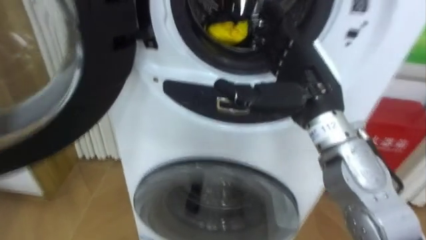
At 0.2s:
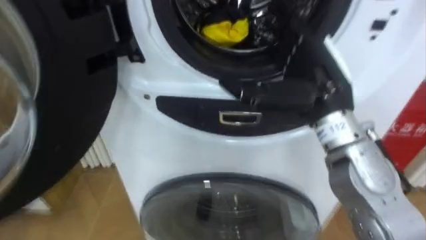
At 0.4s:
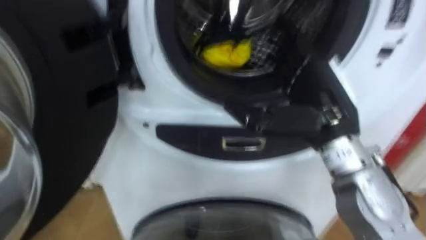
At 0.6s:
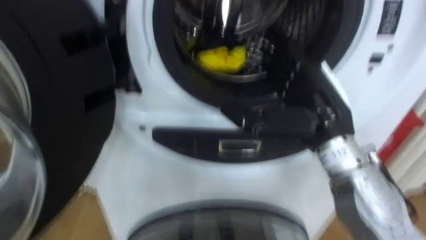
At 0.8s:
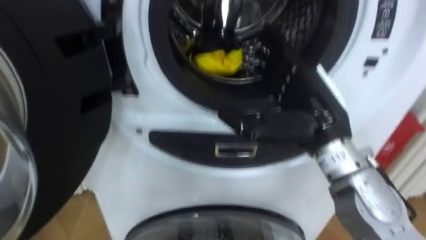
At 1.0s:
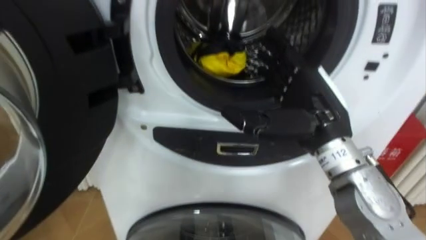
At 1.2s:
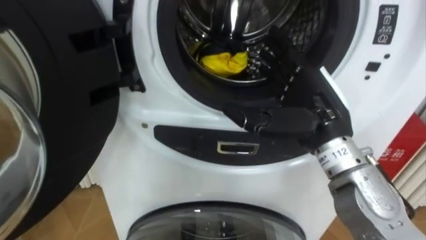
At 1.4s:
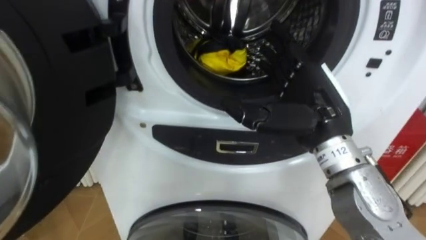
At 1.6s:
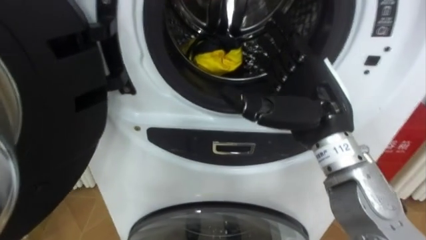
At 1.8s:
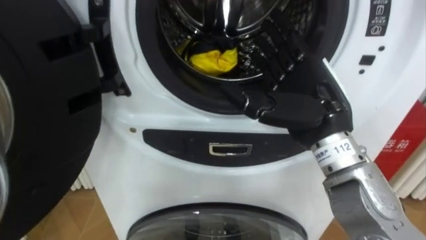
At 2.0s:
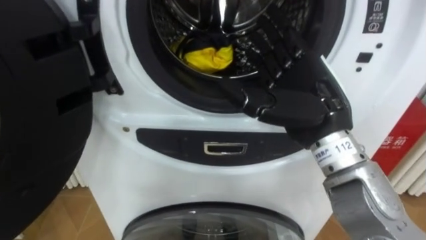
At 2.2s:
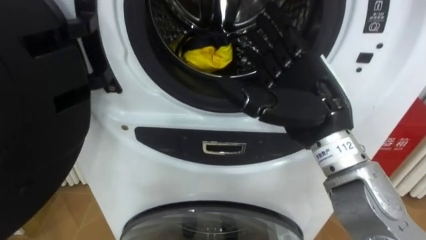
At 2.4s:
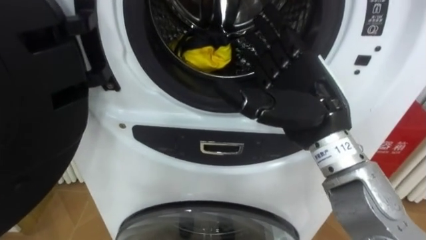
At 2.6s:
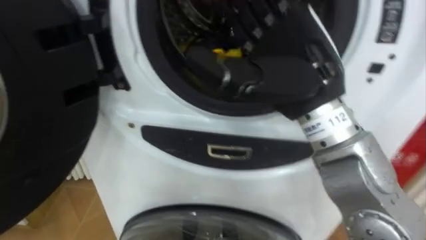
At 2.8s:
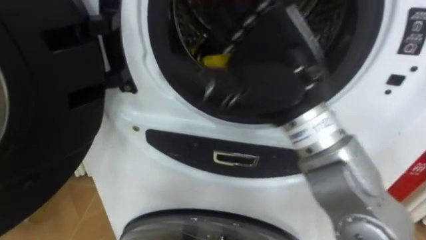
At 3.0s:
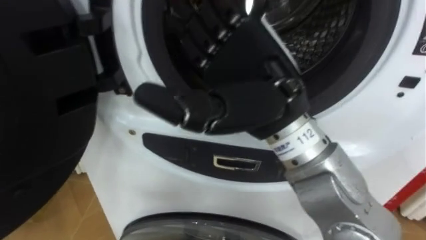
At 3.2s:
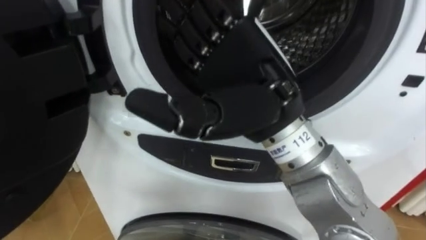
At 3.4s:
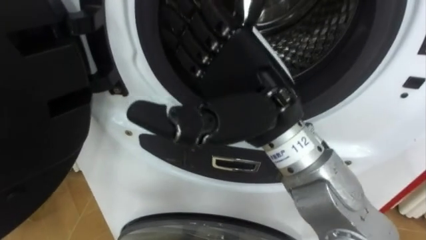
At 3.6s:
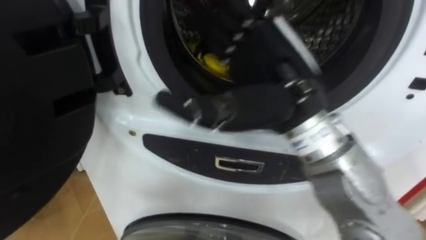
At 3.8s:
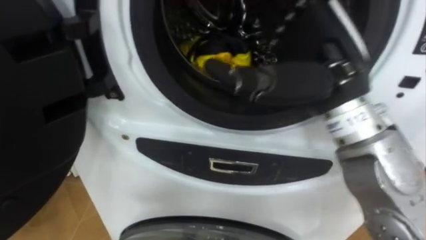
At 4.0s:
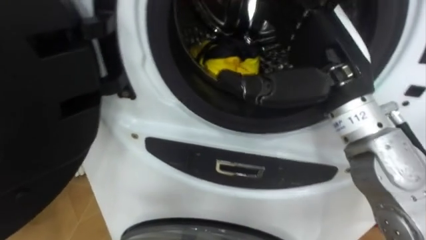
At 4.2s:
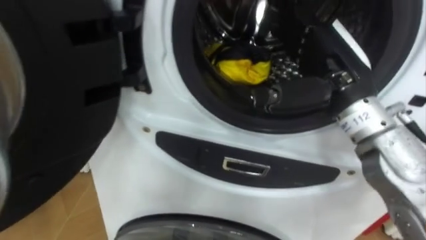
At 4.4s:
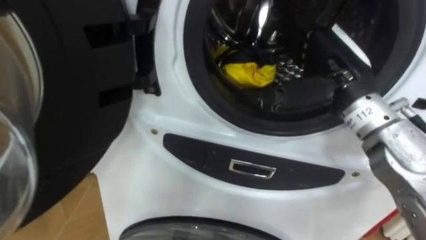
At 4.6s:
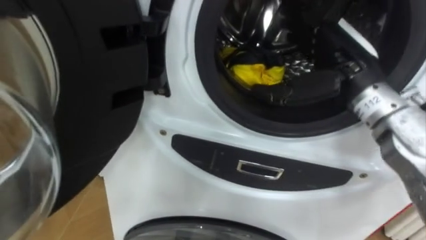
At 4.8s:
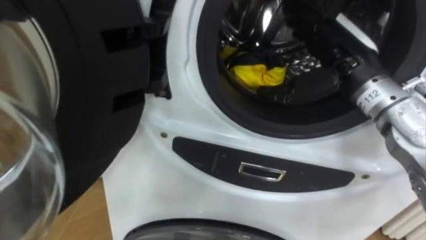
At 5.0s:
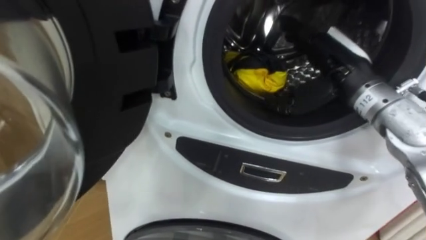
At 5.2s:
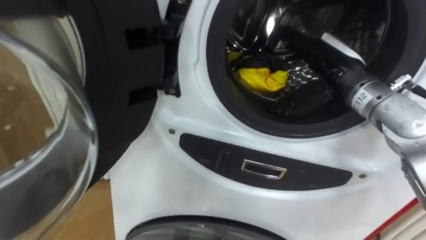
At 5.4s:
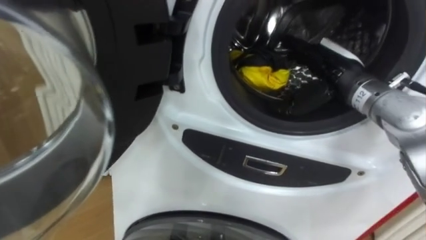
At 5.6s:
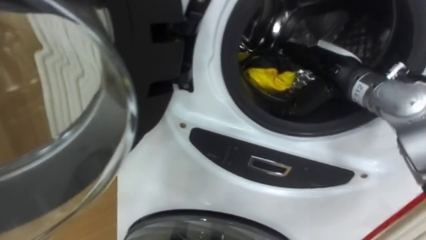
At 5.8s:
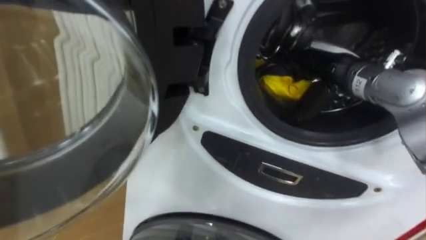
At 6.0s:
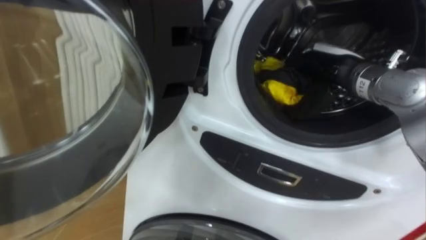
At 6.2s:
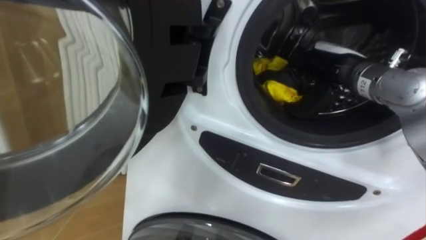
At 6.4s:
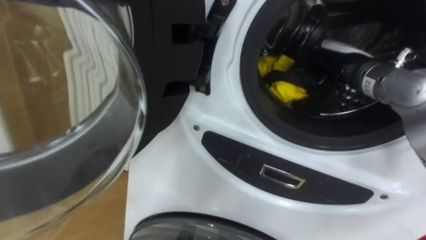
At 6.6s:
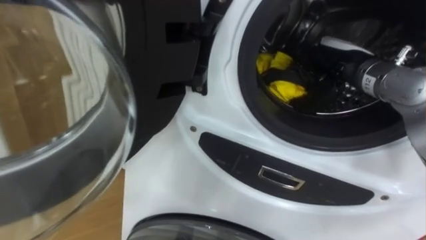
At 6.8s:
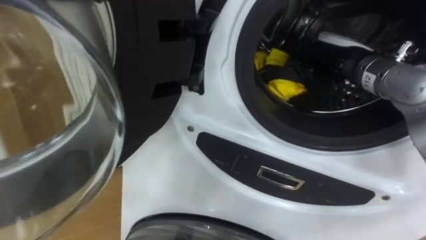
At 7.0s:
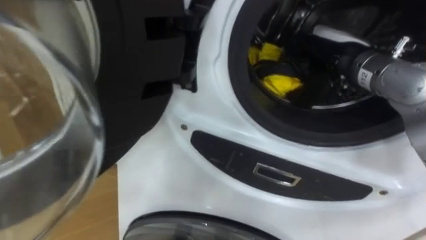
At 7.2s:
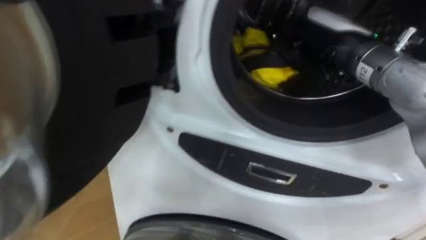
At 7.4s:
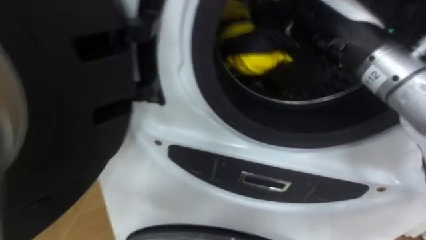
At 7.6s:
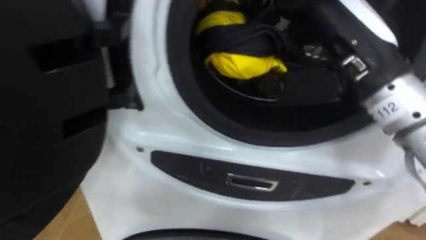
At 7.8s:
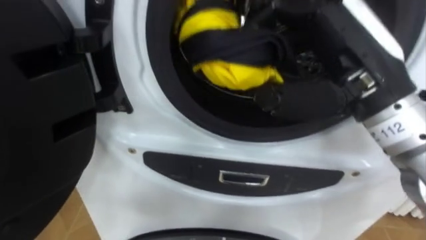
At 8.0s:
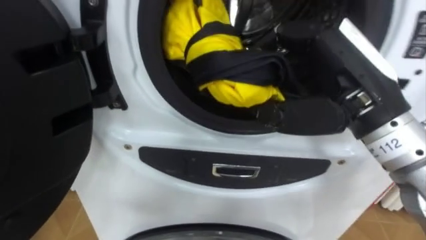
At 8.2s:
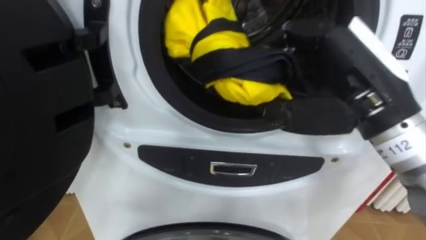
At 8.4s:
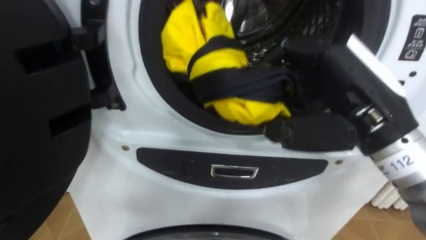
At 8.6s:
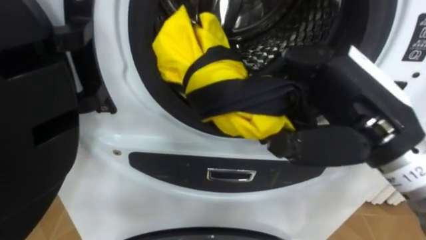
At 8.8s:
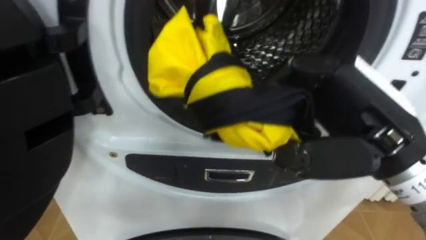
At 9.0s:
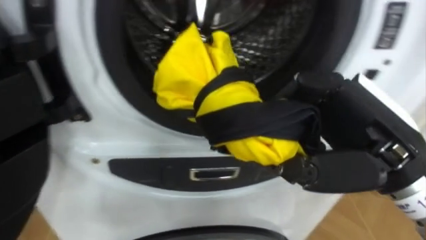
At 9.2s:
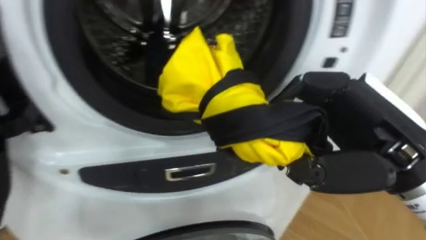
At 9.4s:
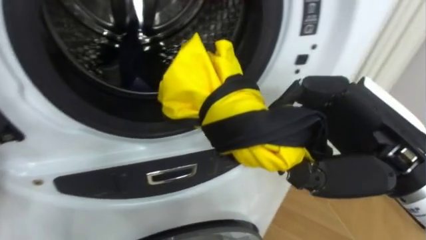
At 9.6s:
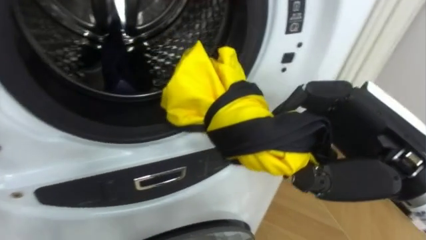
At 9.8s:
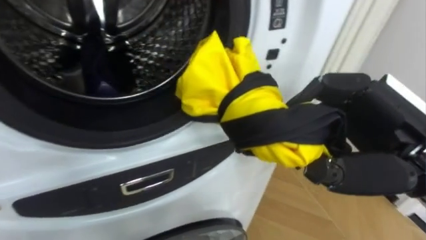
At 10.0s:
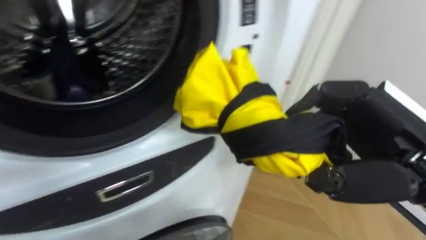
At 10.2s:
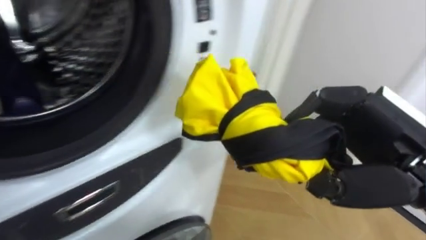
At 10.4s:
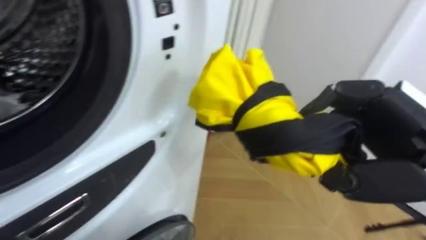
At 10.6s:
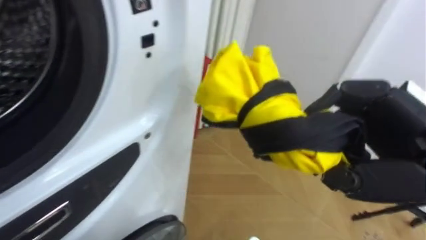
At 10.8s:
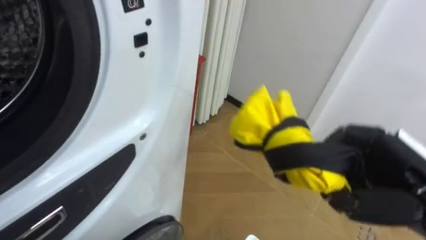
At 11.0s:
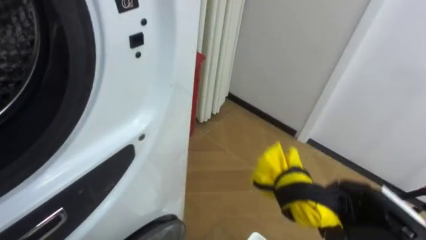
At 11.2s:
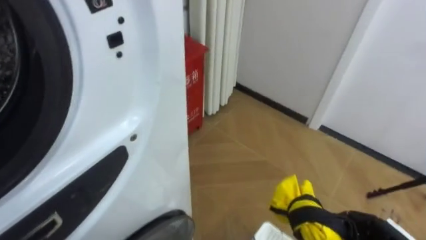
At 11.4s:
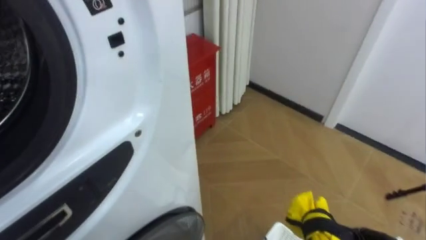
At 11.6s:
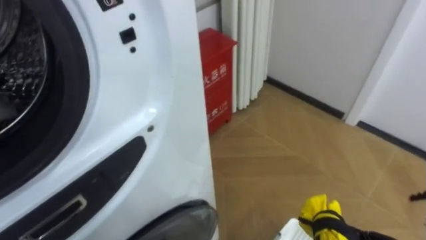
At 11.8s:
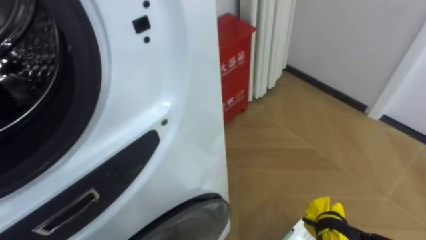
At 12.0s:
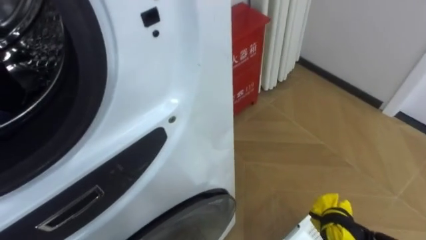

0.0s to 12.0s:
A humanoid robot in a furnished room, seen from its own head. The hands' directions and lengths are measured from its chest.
Task of the whole recording: Open the washing machine door, take out the yellow clothes, place them in the box on the right, and close the washing machine door.
1.6s to 3.0s: The right hand shifts about 10 cm to the left and upward.
3.0s to 4.4s: The right hand goes roughly 15 cm to the right and forward.
4.4s to 6.0s: The right hand shifts some 5 cm forward, and closes its fingers.
6.0s to 7.6s: The right hand travels backward and upward by about 15 cm, and closes.
7.6s to 9.0s: The right hand goes some 10 cm downward and backward.

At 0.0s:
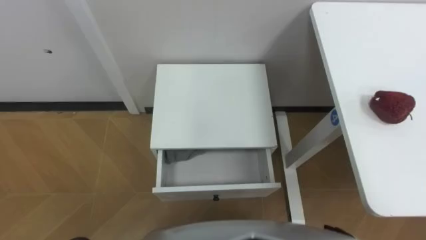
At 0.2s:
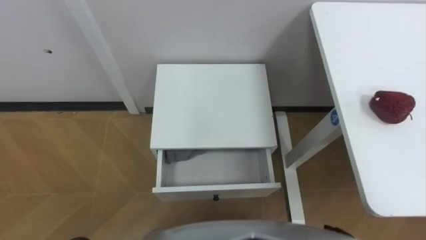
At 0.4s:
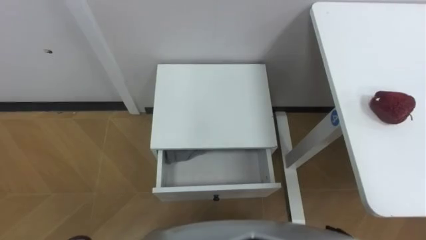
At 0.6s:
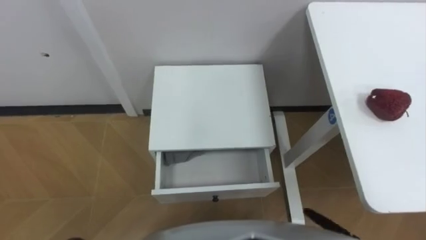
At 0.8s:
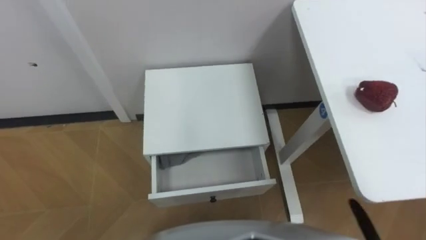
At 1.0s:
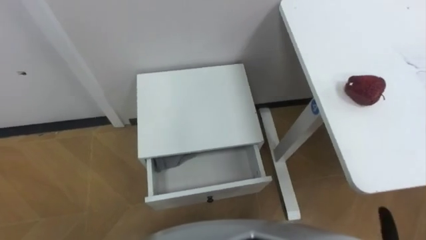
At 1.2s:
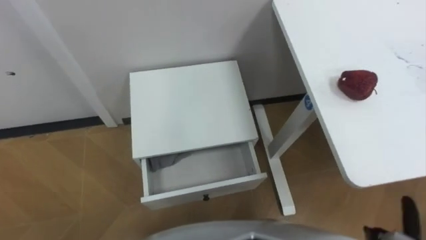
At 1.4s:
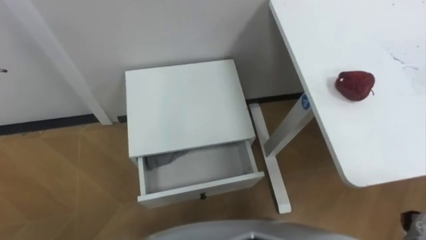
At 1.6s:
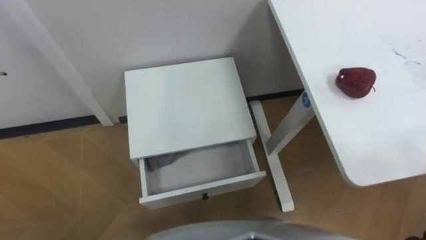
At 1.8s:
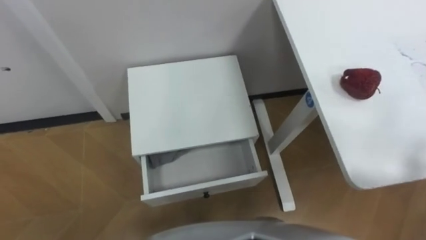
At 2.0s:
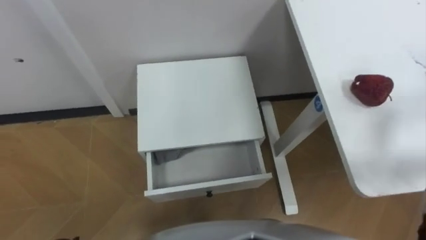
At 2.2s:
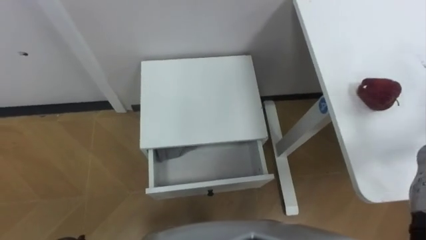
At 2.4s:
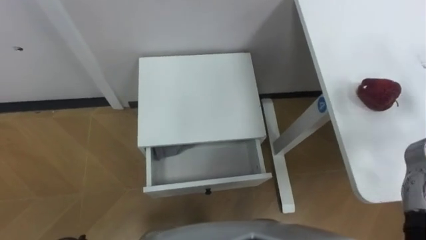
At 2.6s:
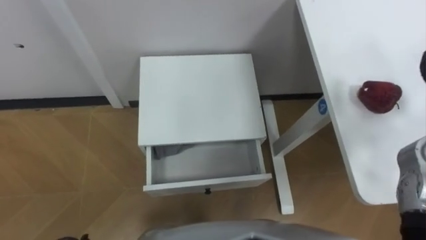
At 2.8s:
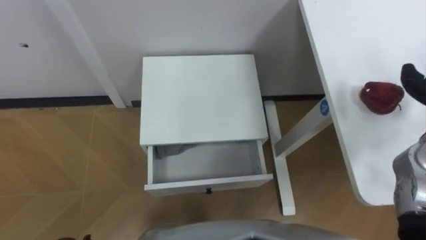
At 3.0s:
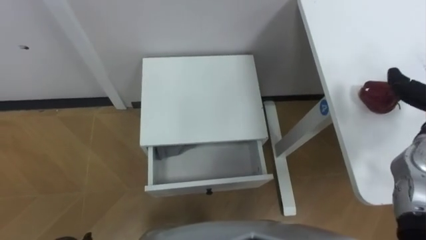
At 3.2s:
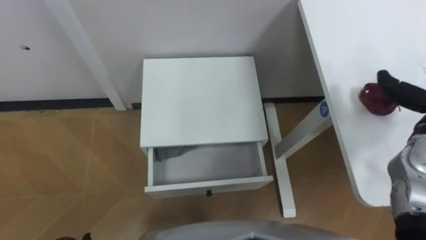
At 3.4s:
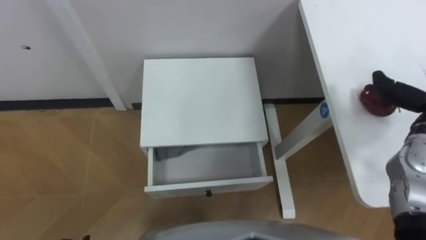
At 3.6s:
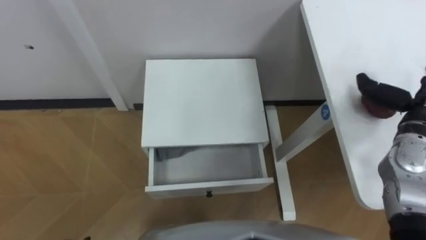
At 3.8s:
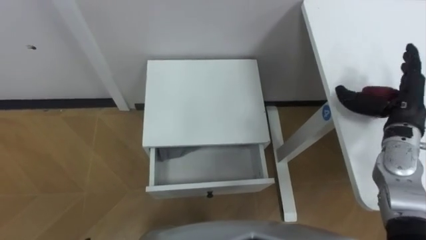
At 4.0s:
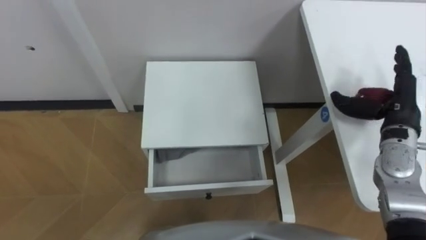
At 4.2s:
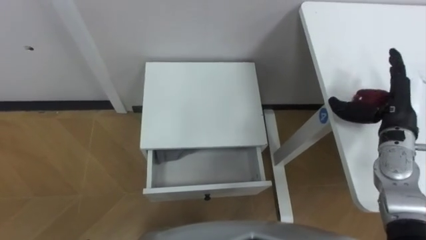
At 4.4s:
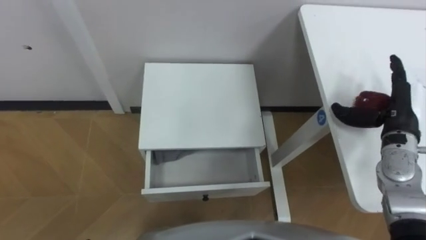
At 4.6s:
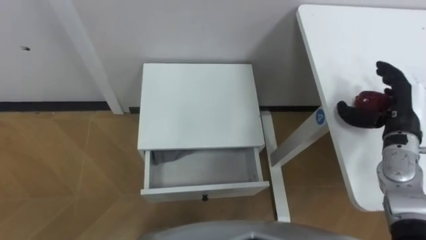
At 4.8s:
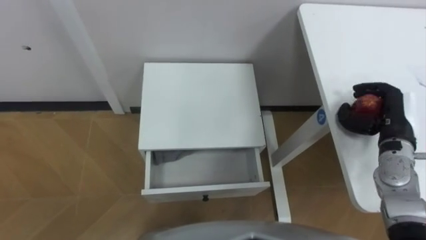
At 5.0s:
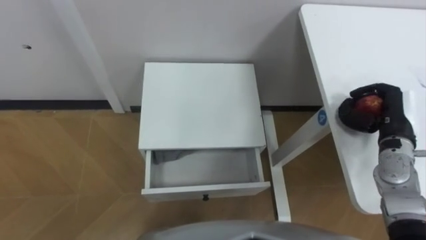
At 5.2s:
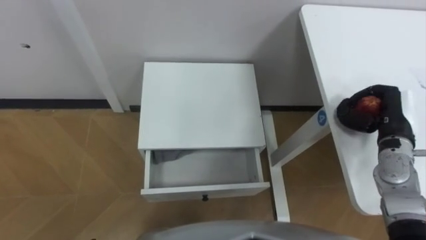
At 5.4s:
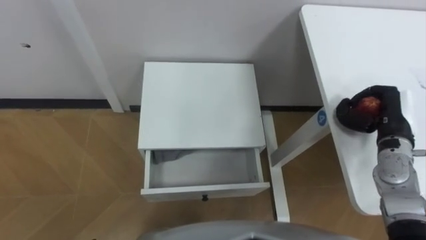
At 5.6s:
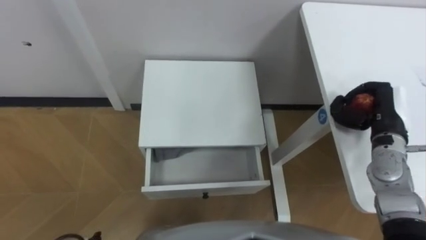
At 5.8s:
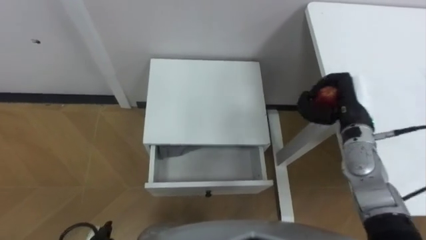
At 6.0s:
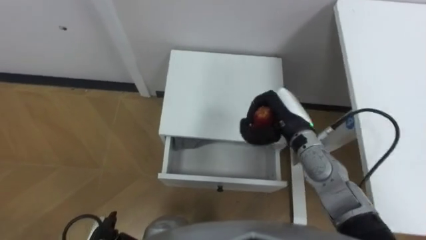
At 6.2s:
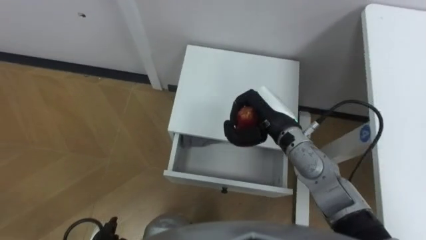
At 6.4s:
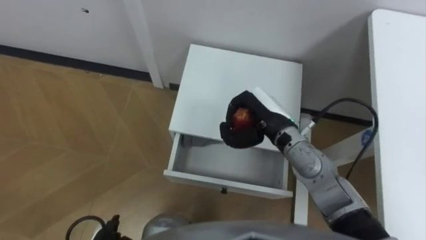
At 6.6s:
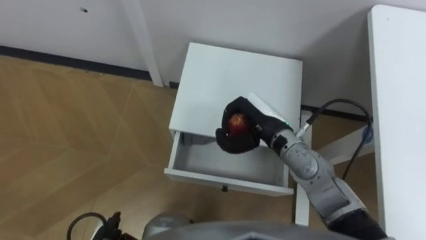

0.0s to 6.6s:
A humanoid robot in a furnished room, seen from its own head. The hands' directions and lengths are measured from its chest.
Task of the whole recording: Pick up the apple from the table, put it in the drawer, and close the drawer with leg.
5.0s to 6.6s: The right hand shifts some 25 cm to the left.
